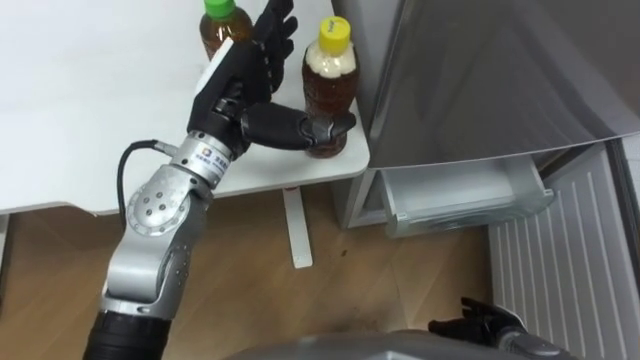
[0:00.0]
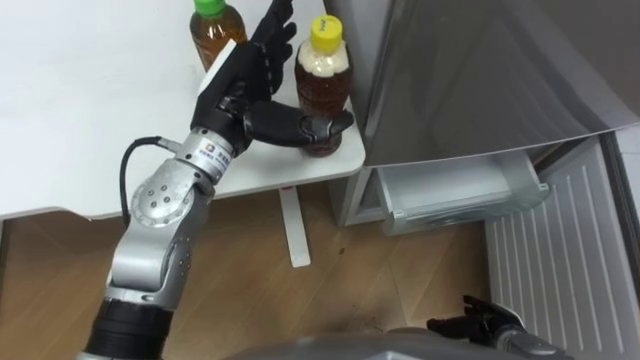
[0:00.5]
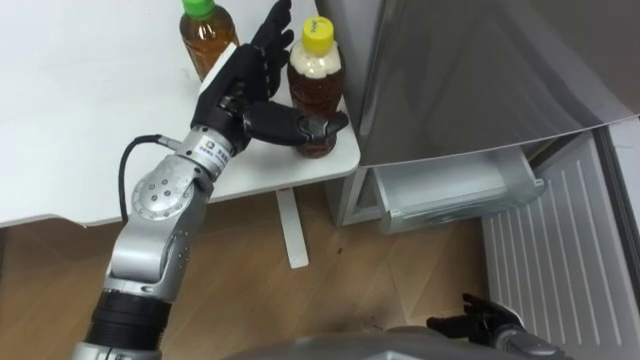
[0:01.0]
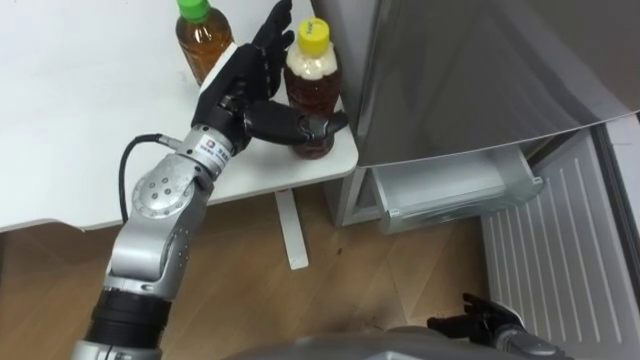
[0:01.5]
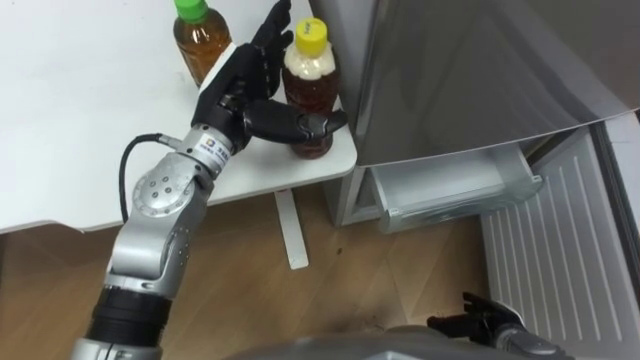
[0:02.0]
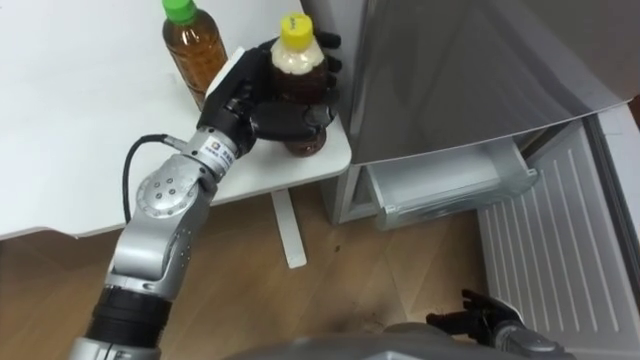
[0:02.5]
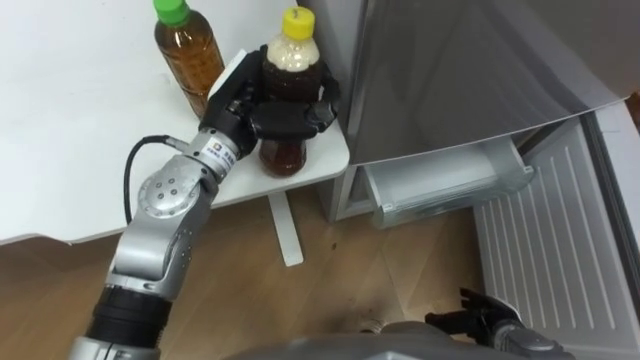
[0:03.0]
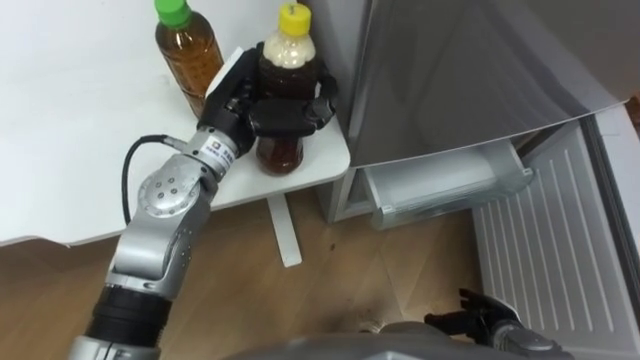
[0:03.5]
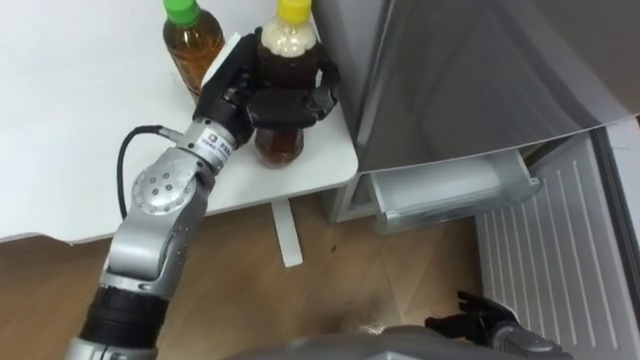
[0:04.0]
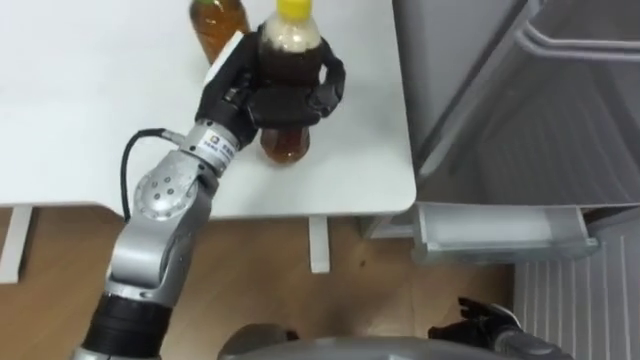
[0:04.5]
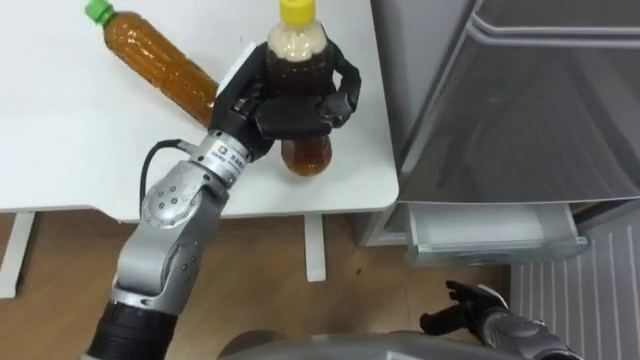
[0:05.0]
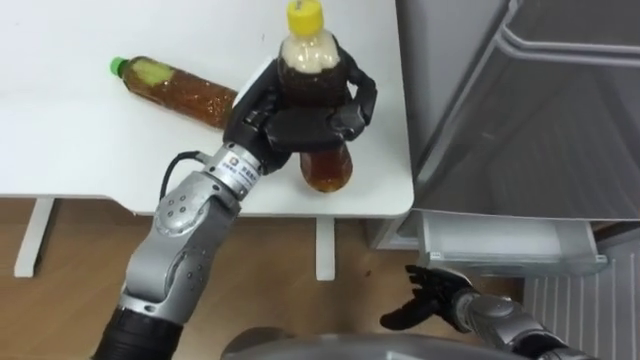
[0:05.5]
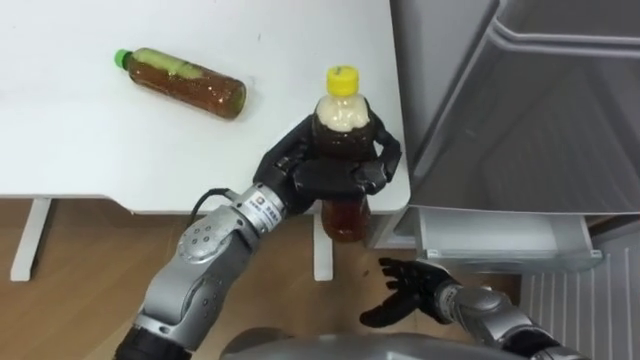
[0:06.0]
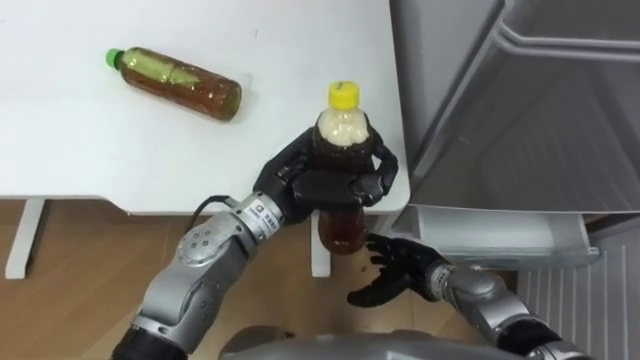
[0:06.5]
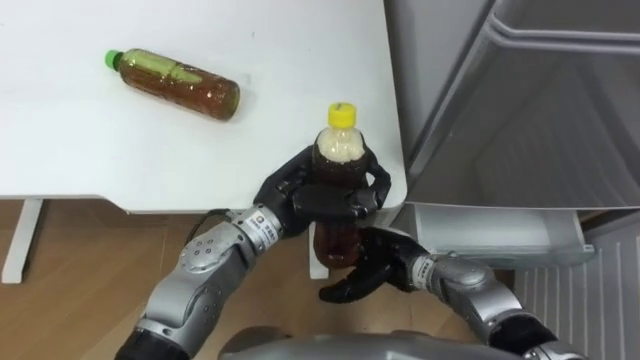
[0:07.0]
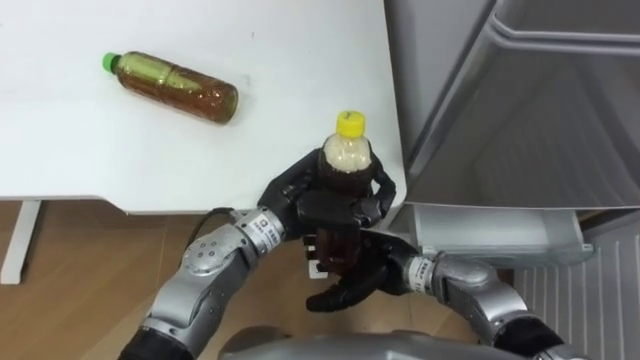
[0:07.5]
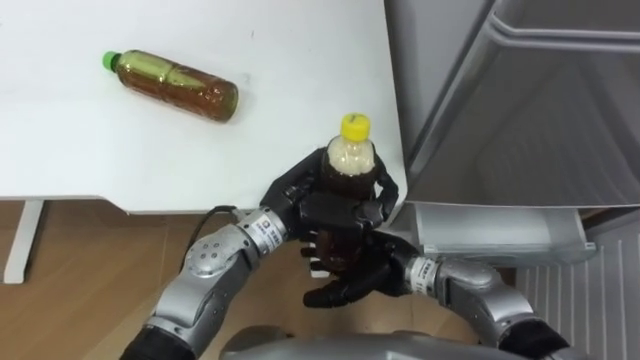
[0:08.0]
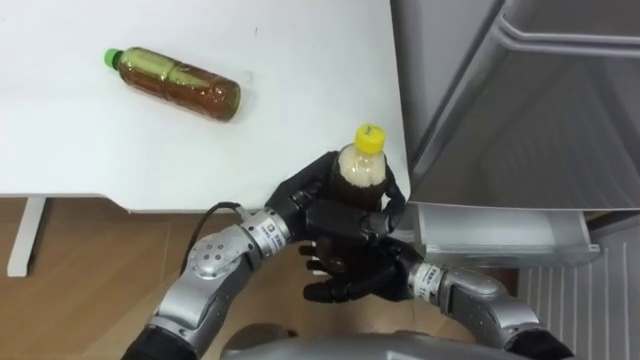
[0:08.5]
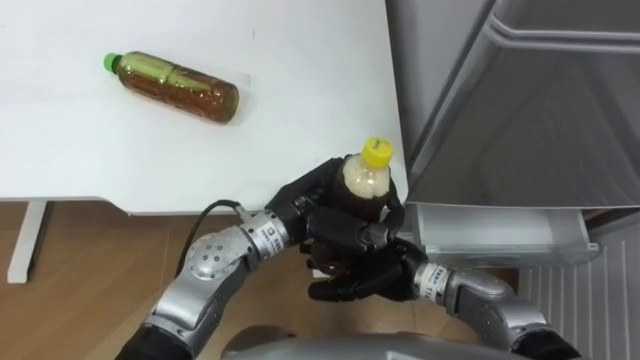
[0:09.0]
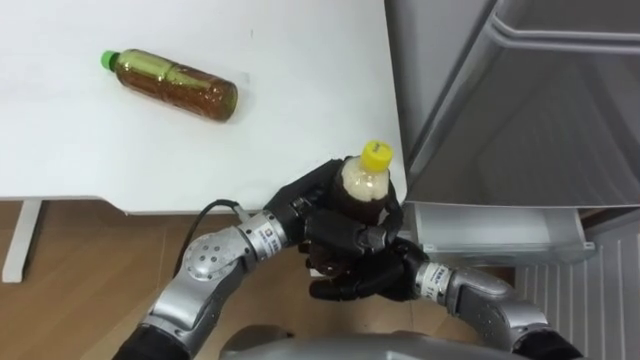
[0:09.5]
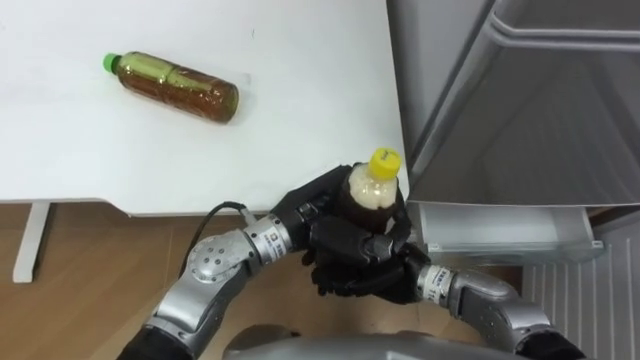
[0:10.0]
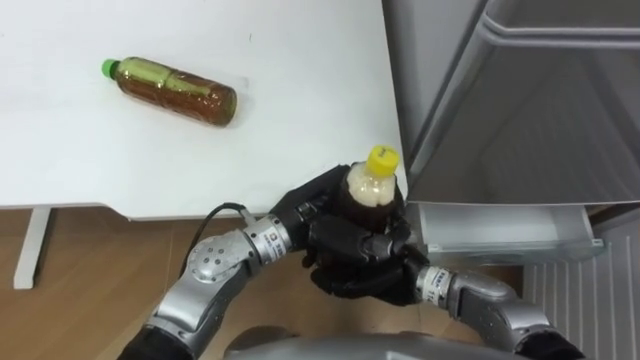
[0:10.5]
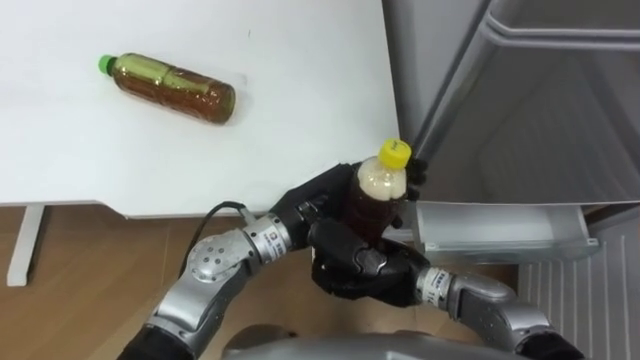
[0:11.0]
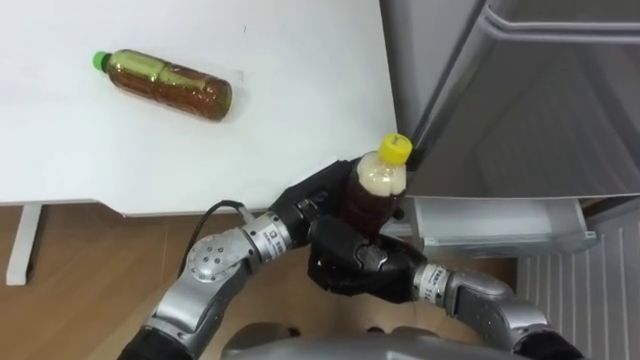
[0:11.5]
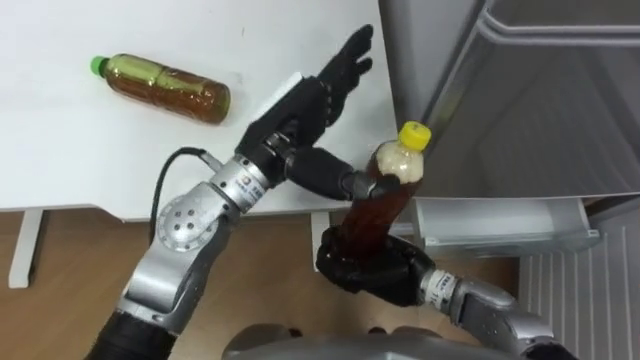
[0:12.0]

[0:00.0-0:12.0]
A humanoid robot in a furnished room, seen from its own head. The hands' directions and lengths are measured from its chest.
Task of the whole recording: Place the drink on the table on the bottom shelf of the refrigerator, then close the drawer and the refrigerator door.
0:02.0 to 0:04.0: The left hand closes its fingers.
0:04.0 to 0:06.0: The right hand travels to the left and forward by about 10 cm, while the left hand goes some 10 cm to the right and backward.
0:06.0 to 0:08.0: The left hand shifts by approximately 5 cm; the right hand is displaced to the left and upward by approximately 10 cm.
0:08.0 to 0:10.0: The right hand closes its fingers.
0:10.0 to 0:12.0: The left hand travels upward and forward by roughly 10 cm, and opens.

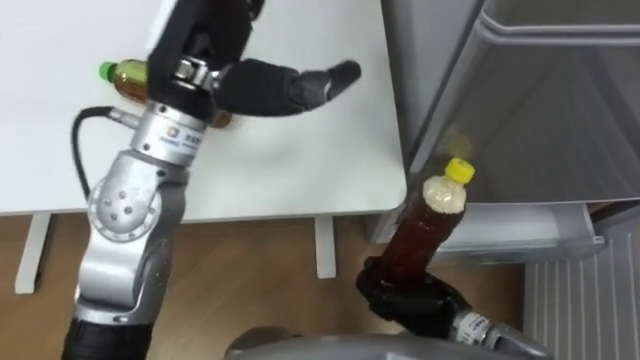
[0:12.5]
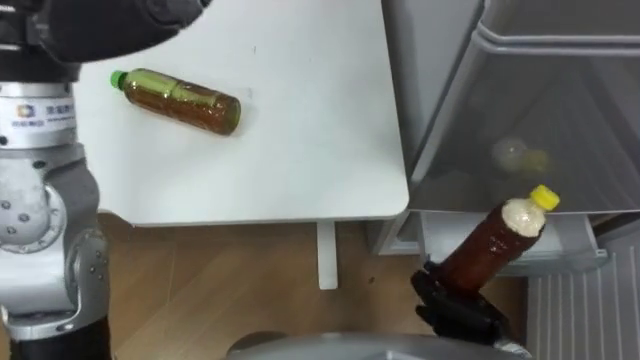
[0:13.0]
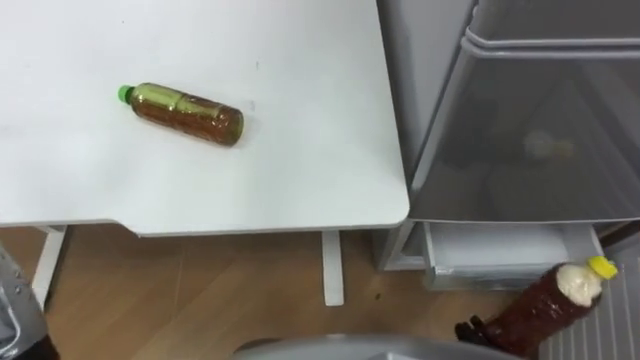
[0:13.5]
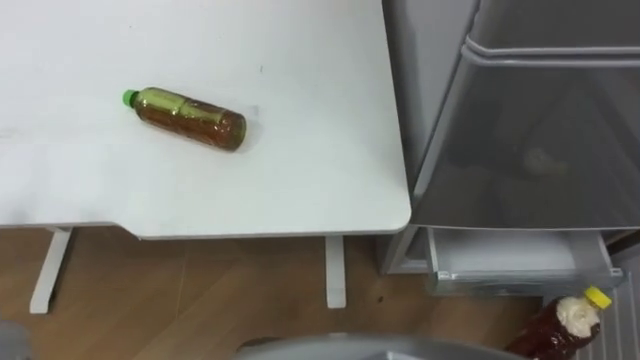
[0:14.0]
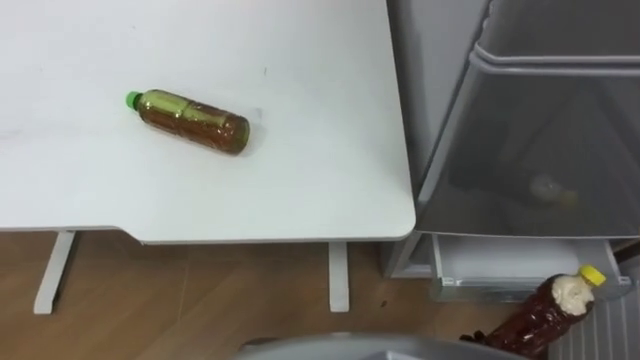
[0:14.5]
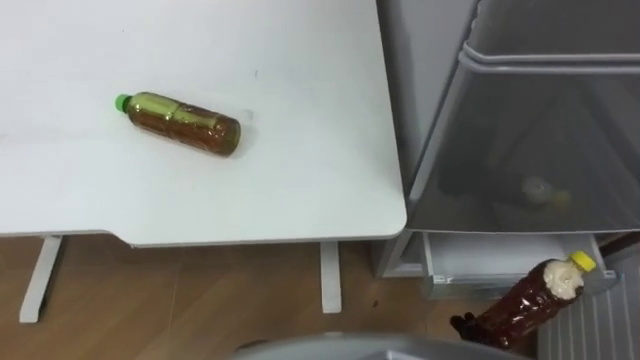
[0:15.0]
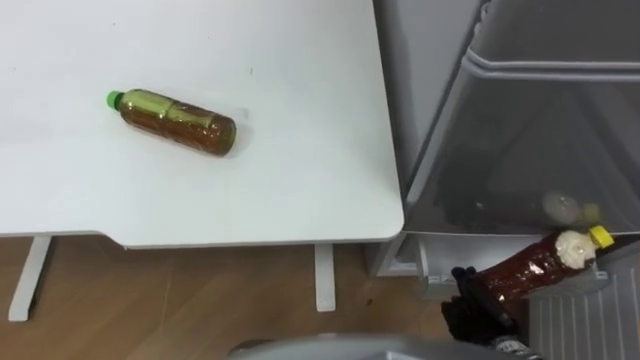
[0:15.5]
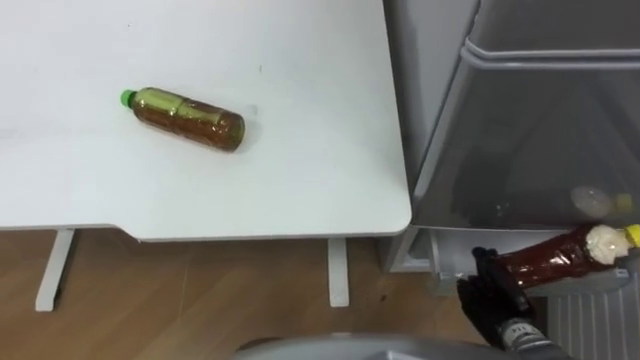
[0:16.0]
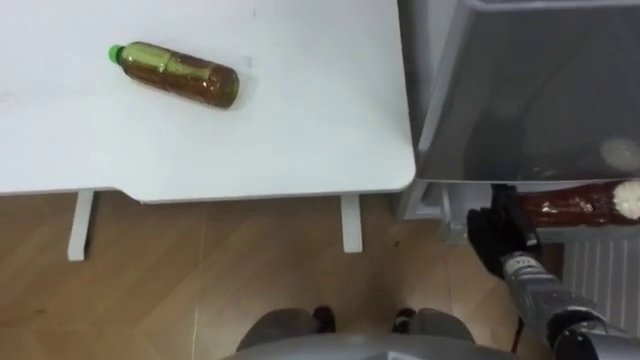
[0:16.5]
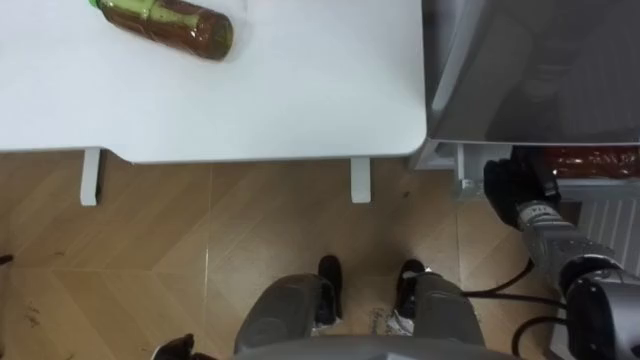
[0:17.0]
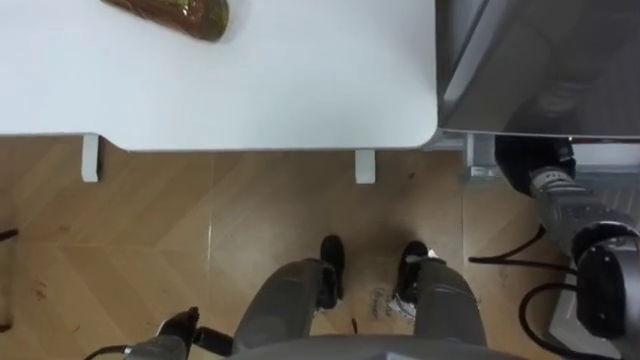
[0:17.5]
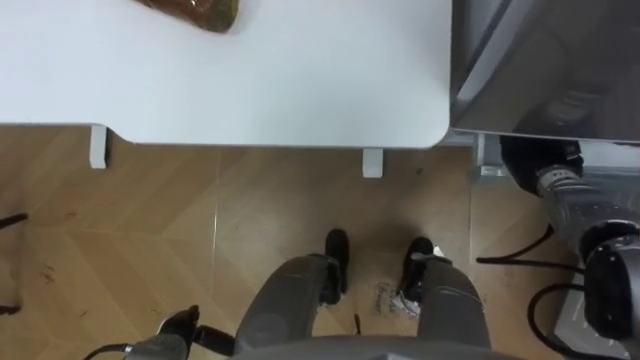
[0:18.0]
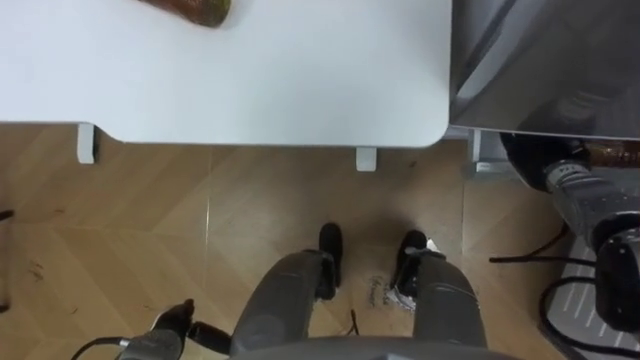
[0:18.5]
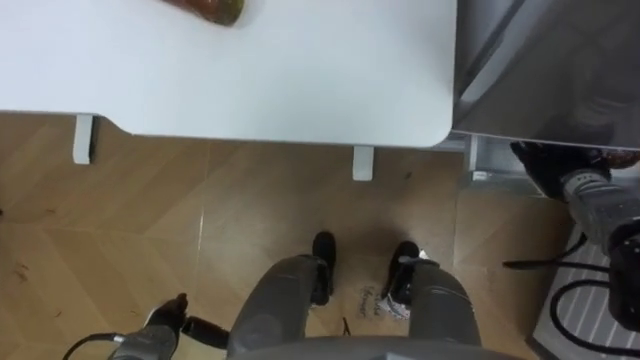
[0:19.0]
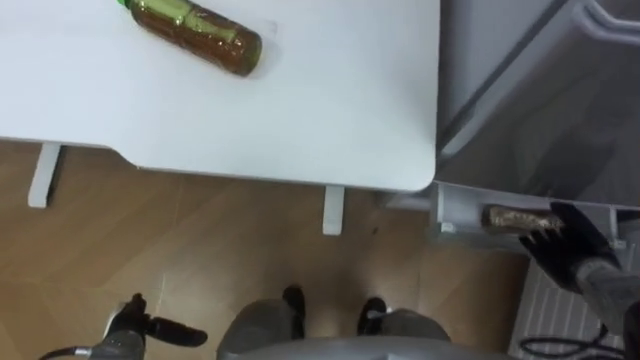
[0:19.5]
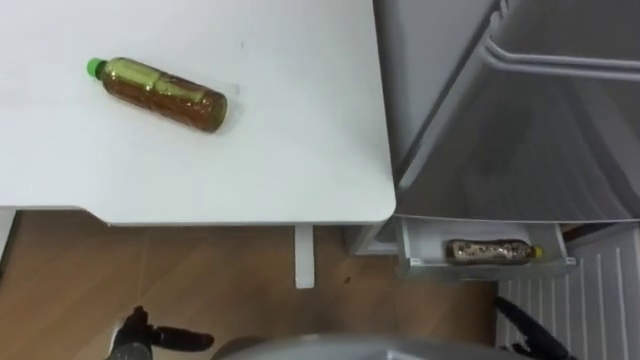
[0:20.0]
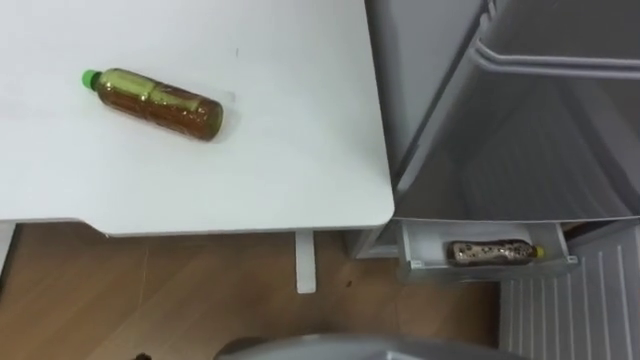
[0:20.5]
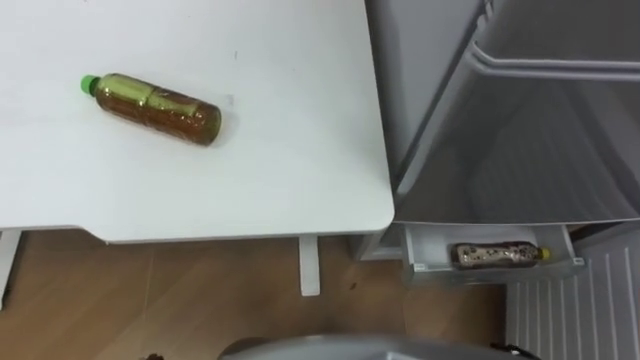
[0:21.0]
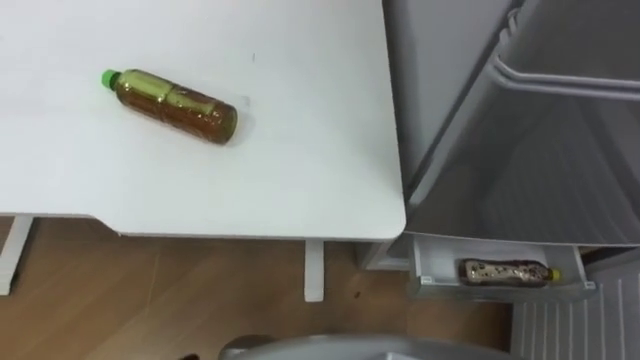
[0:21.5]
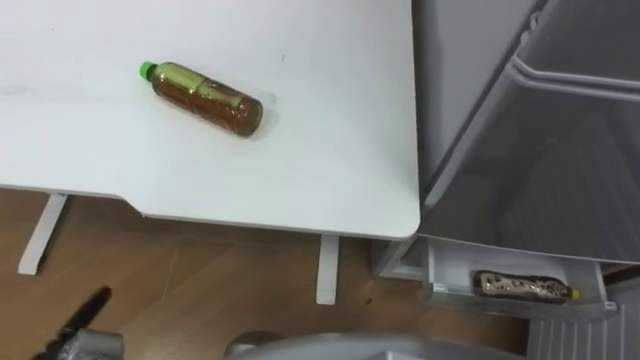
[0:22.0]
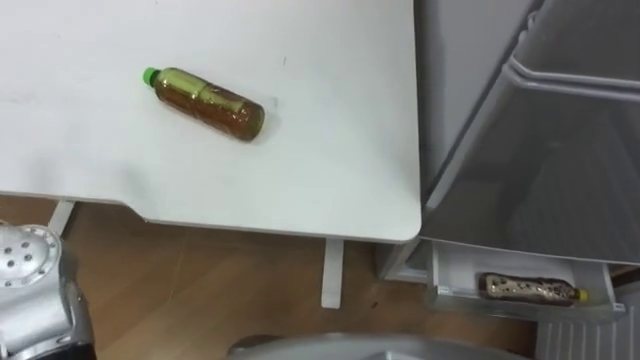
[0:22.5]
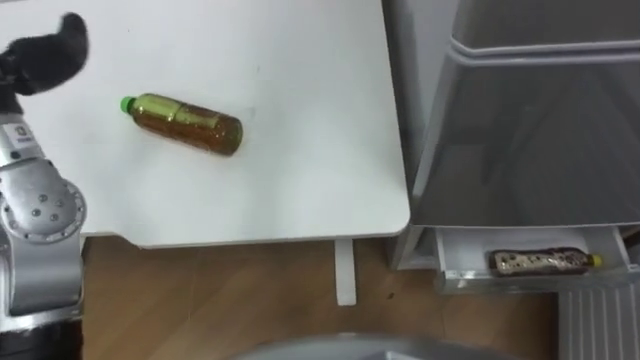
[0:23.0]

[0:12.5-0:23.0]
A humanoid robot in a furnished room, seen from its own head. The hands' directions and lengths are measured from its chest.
Task of the whole recording: Place the drink on the table on the bottom shelf of the refrigerator, then close the drawer and the refrigerator door.
0:16.5 to 0:19.0: The right hand is displaced forward, upward and to the right by about 15 cm, and opens up.
